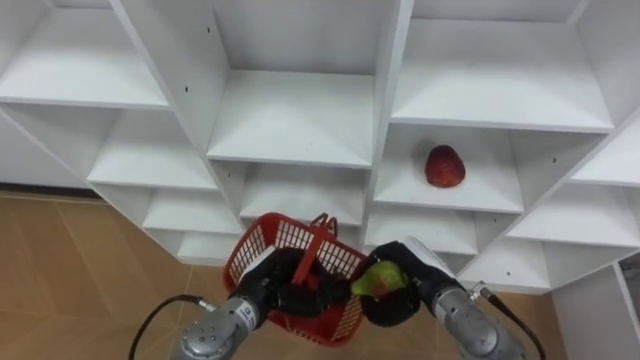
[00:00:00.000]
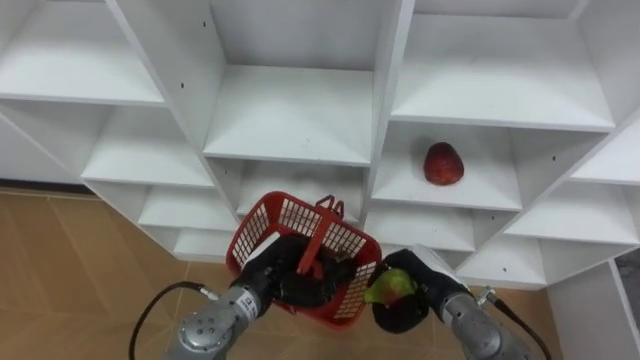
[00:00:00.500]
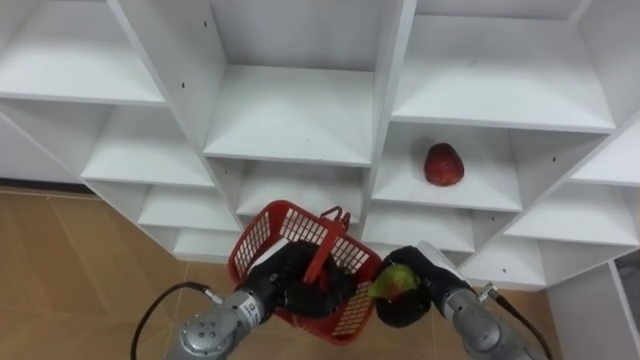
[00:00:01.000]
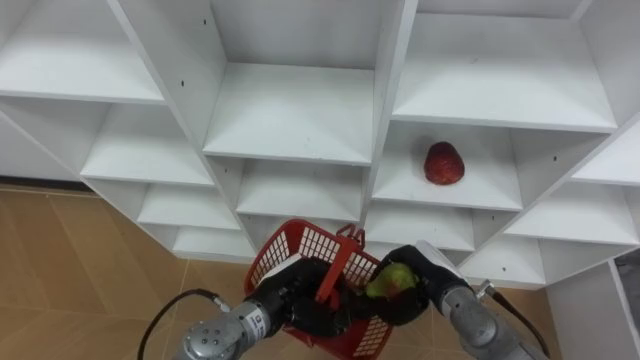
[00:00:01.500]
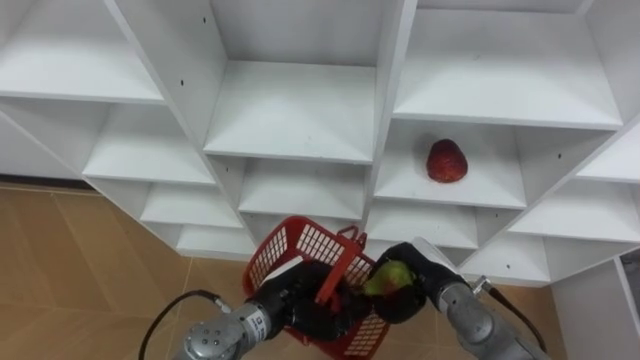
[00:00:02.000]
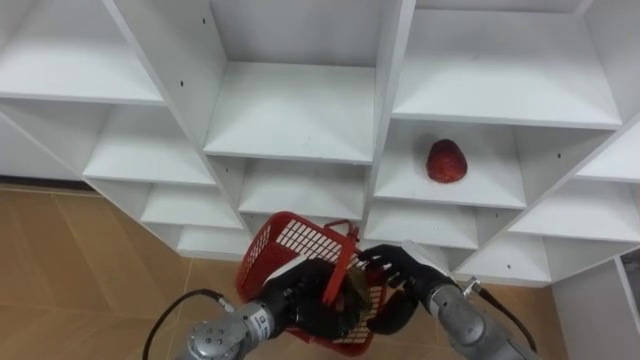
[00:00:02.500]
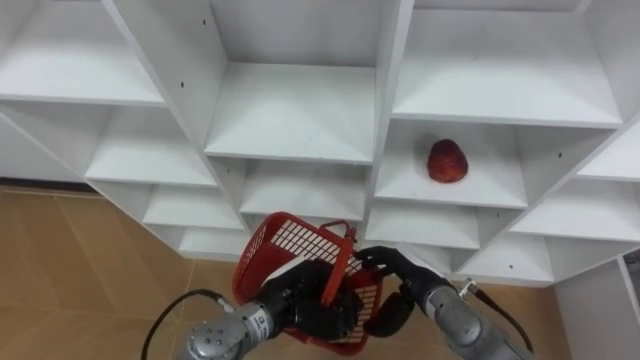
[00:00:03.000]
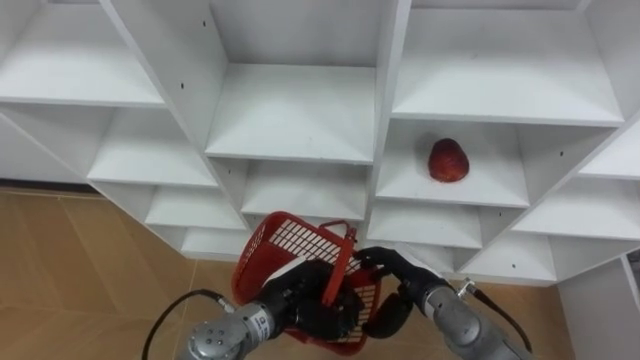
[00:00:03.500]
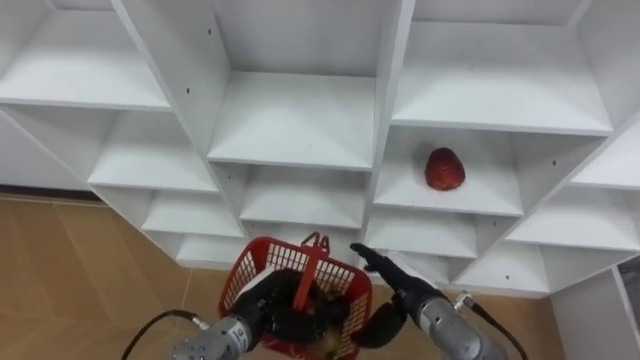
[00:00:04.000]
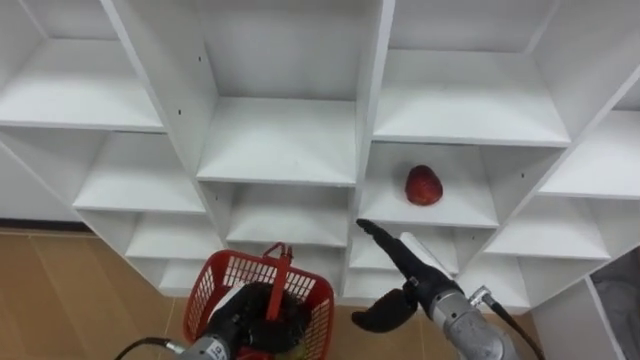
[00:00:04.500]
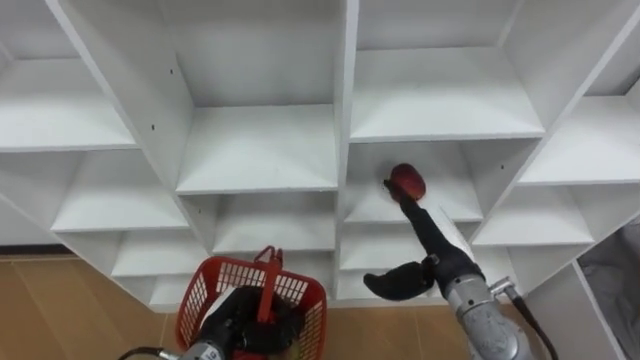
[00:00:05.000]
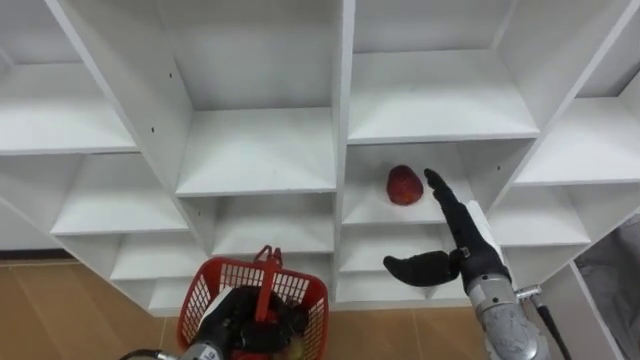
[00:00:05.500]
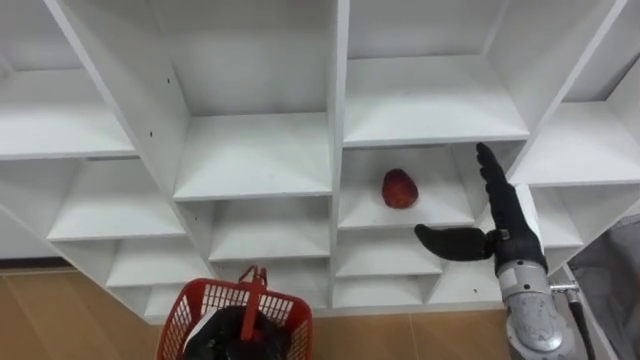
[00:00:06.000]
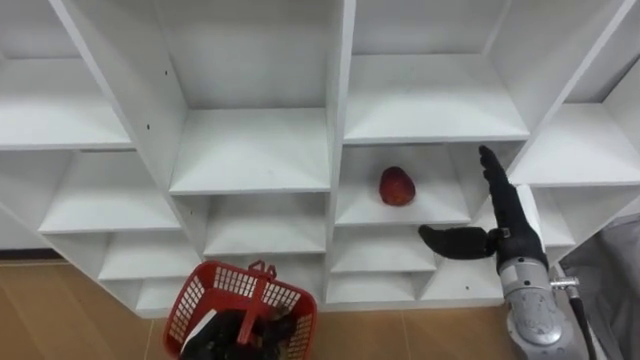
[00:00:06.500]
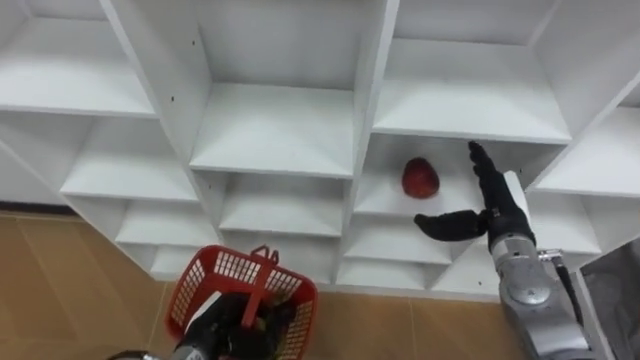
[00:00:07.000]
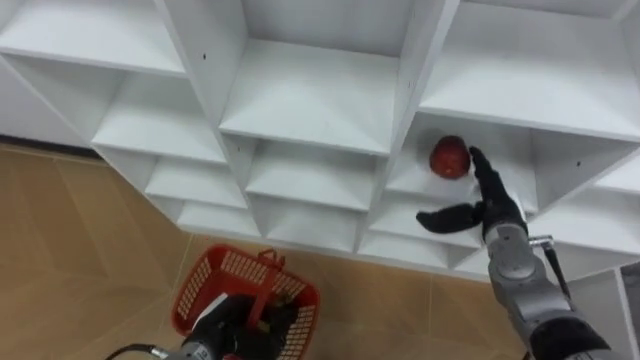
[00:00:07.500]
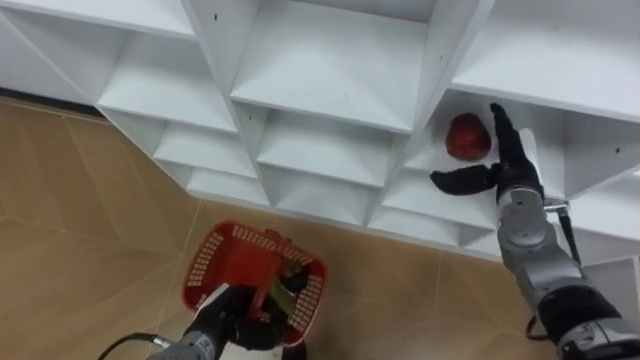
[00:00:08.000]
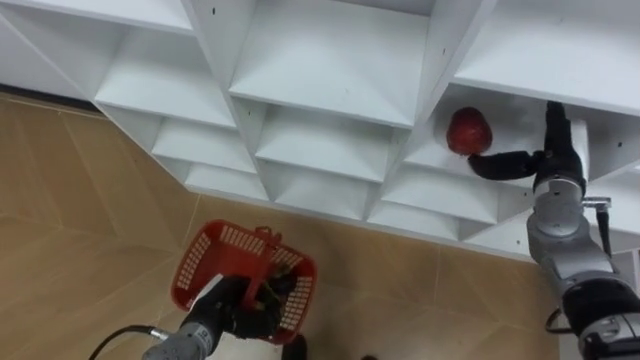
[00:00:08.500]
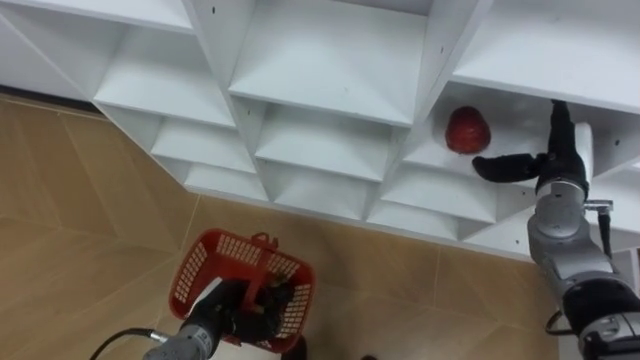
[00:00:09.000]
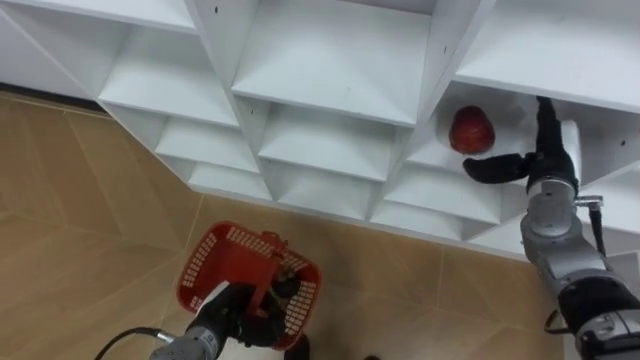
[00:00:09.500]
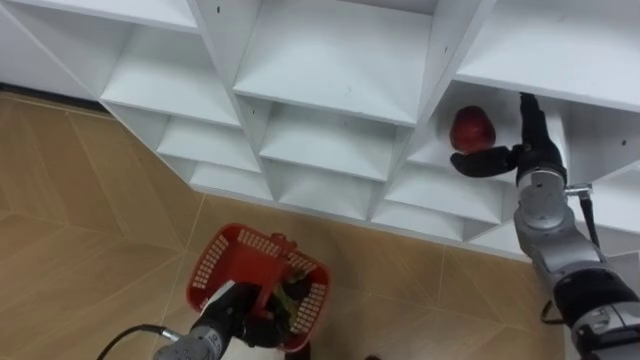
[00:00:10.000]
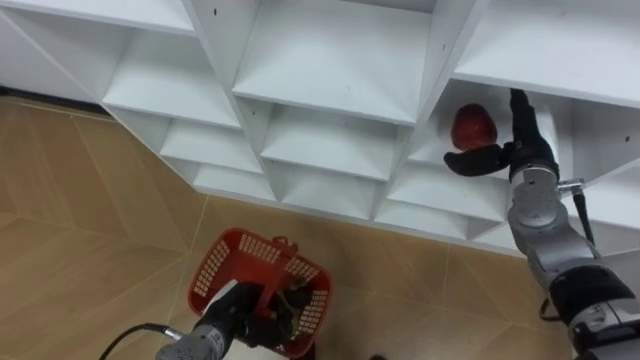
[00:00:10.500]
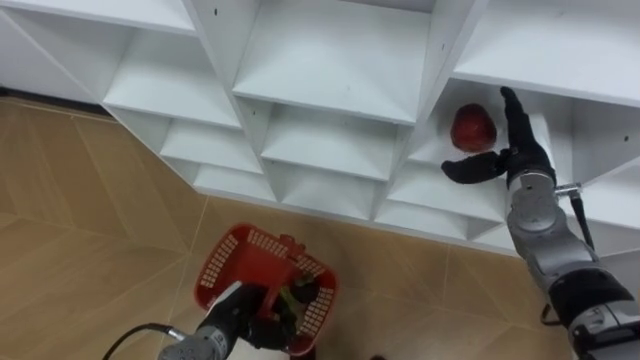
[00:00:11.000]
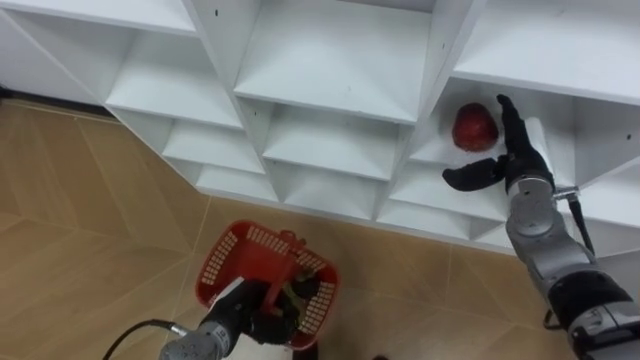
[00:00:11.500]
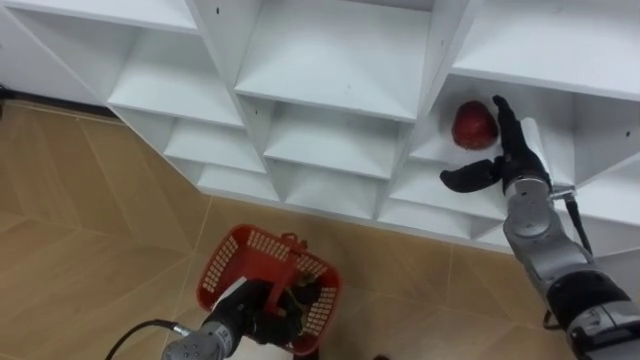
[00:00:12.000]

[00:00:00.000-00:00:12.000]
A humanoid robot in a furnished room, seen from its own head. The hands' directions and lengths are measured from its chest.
Task of the whole recording: Hold the basket and collect the fruits from 3 different cells of the closet into it.
00:00:00.000 to 00:00:02.000: The hands make only small movements.
00:00:02.000 to 00:00:04.000: The right hand opens.
00:00:04.000 to 00:00:06.000: The right hand goes some 15 cm to the right and upward, while the left hand travels to the left by roughly 5 cm.
00:00:06.000 to 00:00:08.000: The right hand moves forward, some 10 cm.
00:00:10.000 to 00:00:12.000: The hands stay close to where they were, moving slightly.

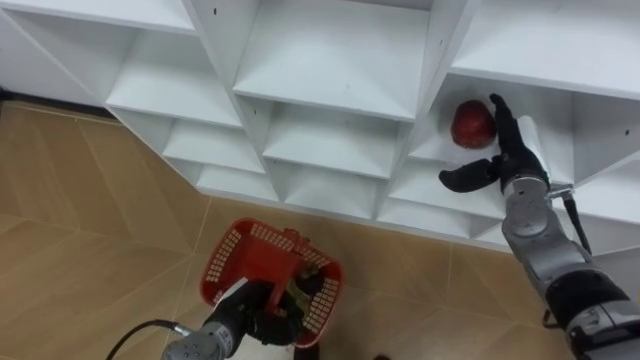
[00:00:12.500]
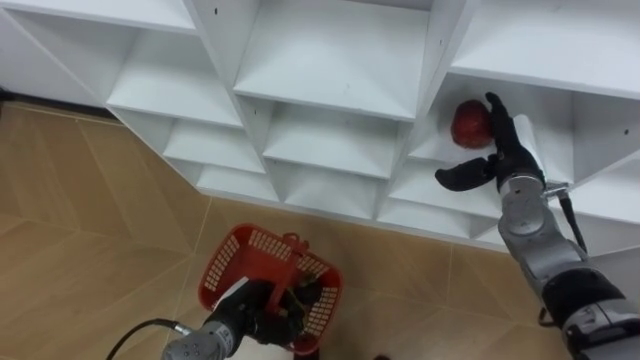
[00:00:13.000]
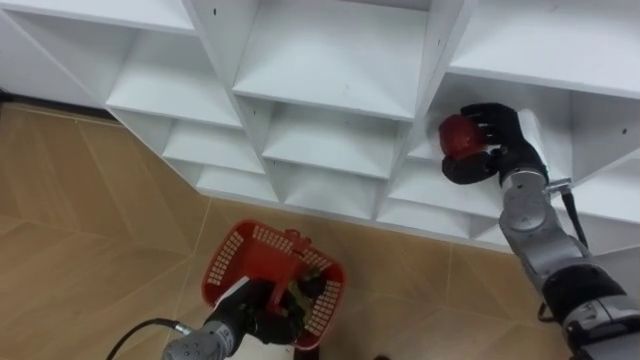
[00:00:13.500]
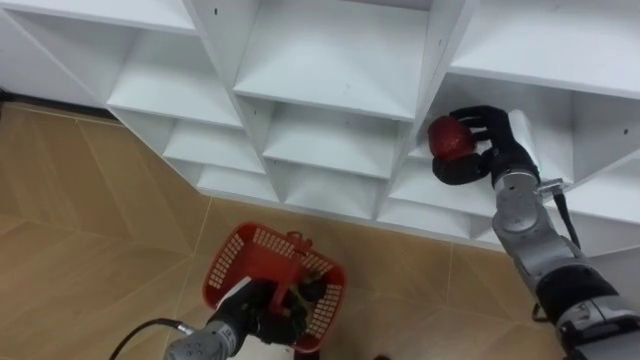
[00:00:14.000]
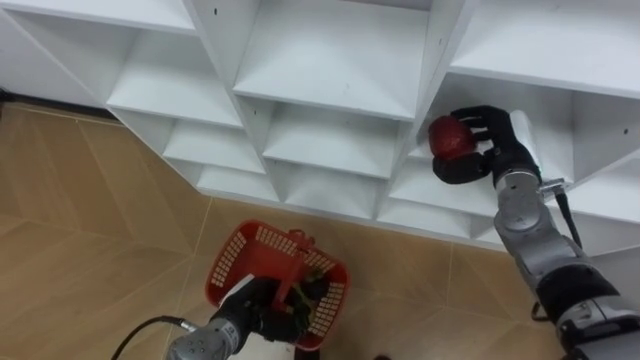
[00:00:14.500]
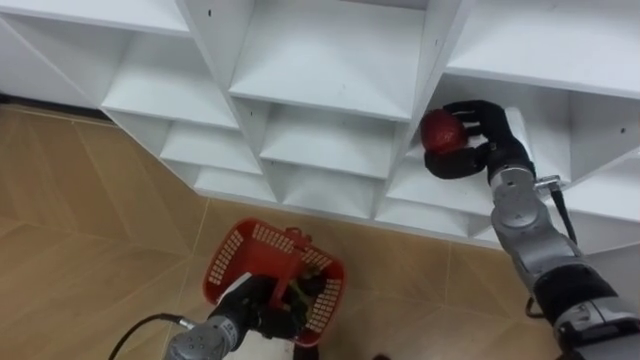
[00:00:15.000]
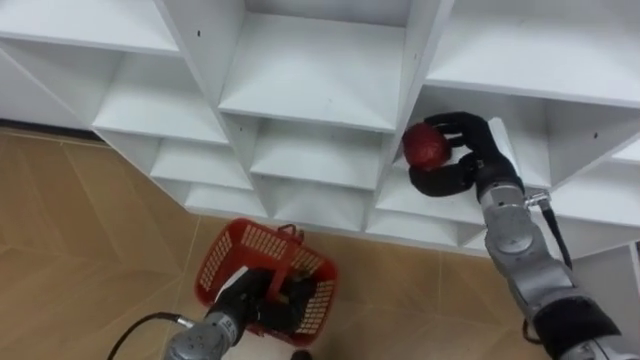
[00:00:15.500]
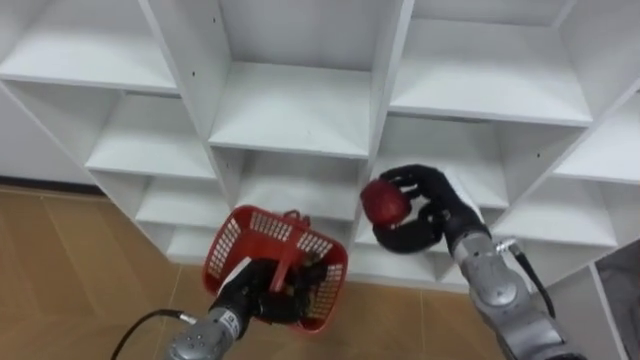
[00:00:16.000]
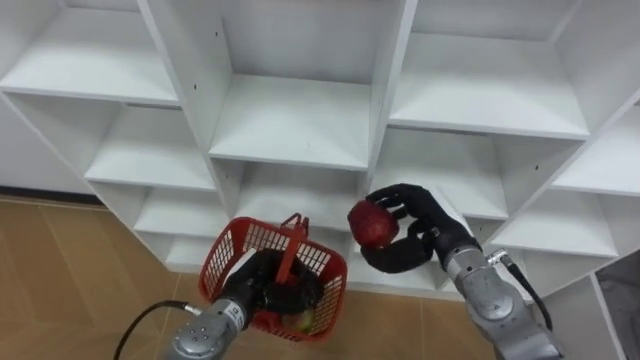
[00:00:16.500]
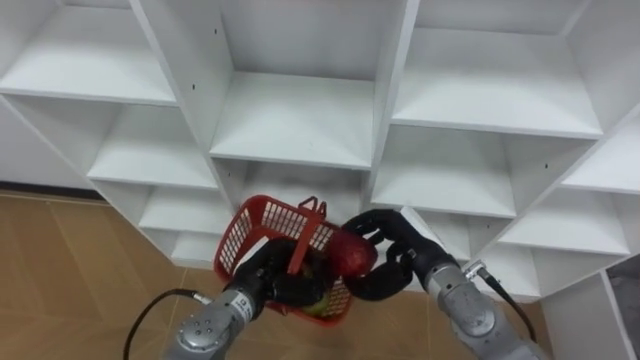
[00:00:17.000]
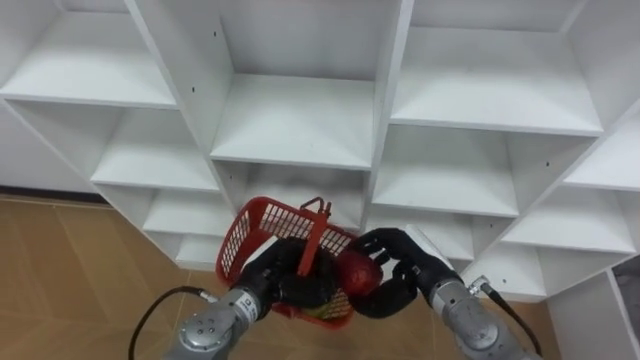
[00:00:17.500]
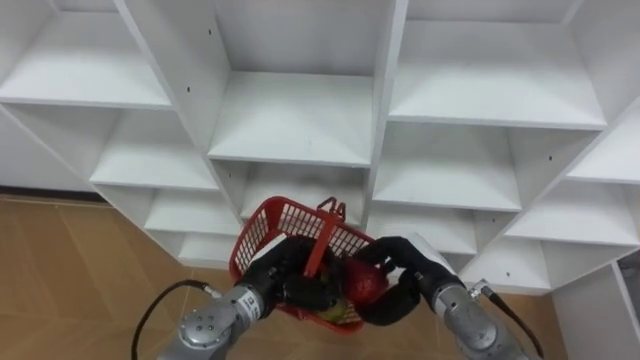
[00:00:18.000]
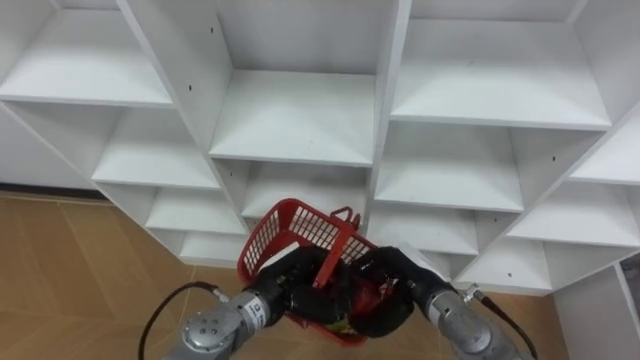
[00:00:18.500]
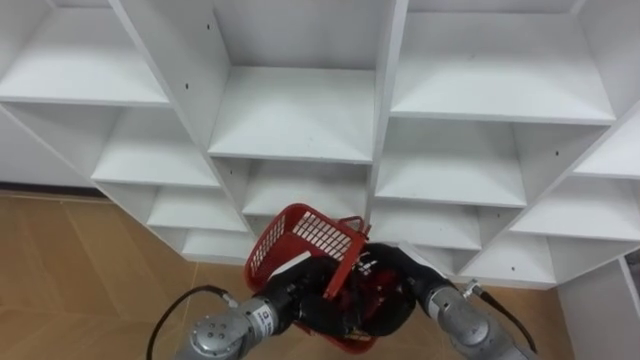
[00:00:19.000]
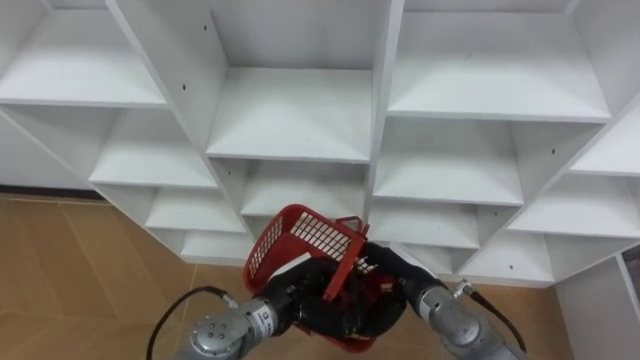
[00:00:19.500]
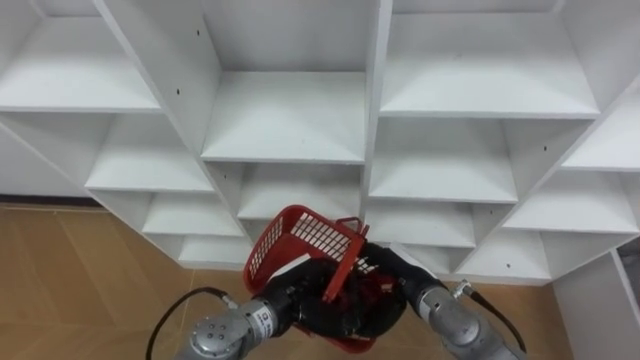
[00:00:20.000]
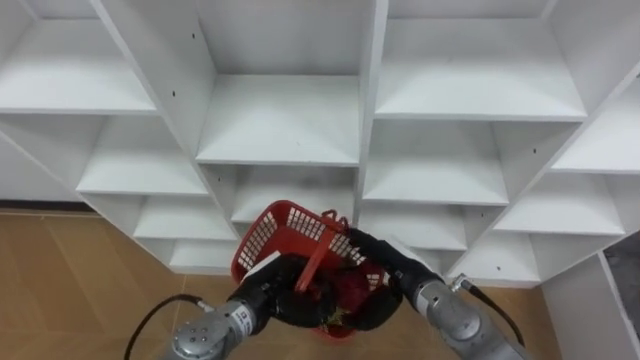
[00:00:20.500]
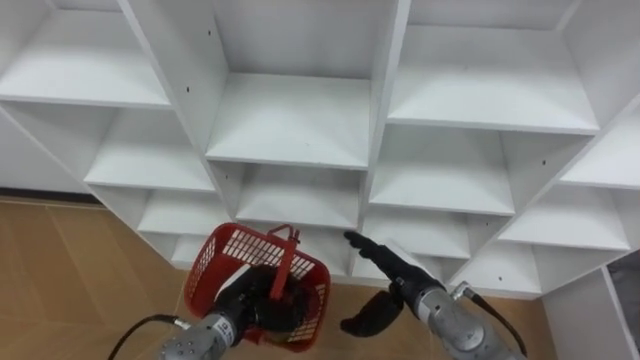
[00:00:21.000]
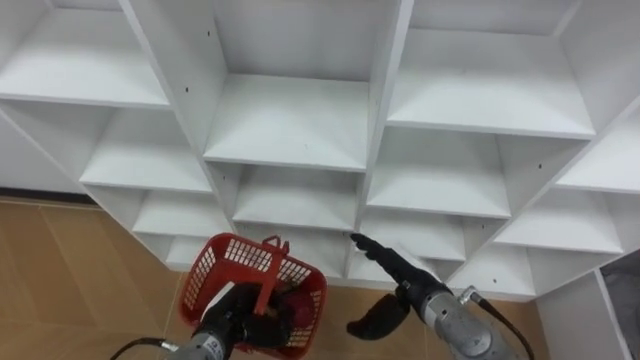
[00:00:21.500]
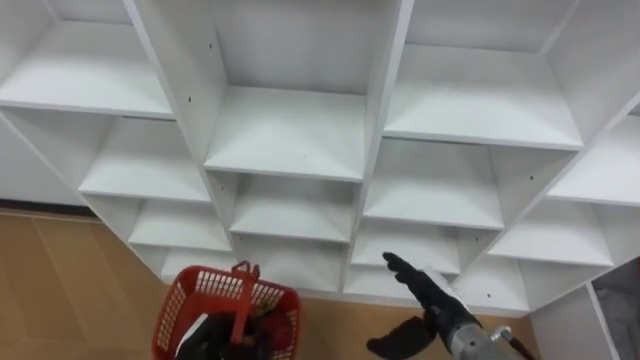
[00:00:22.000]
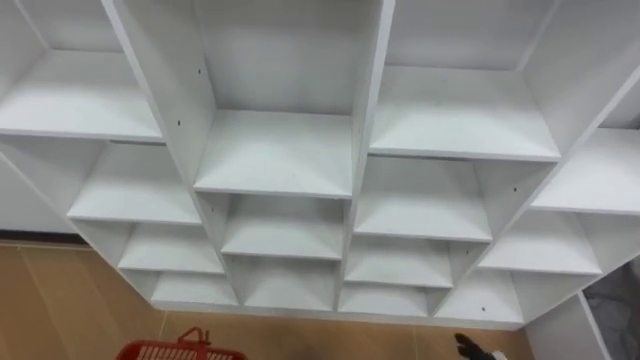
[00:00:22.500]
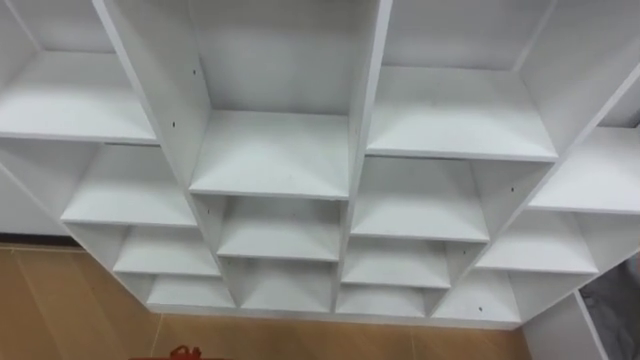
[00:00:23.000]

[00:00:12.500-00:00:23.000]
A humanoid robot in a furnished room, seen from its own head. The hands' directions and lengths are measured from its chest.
Task of the whole recording: Hold the basket and collect the fruits from 3 different cells of the closet into it.
00:00:12.500 to 00:00:14.500: The right hand closes its fingers.
00:00:14.500 to 00:00:16.500: The right hand shifts roughly 15 cm to the left, backward and downward.
00:00:16.500 to 00:00:19.000: The right hand shifts approximately 5 cm downward, and opens its fingers. Meanwhile the left hand shifts some 5 cm to the right.
00:00:19.000 to 00:00:21.000: The left hand goes approximately 5 cm to the left.
